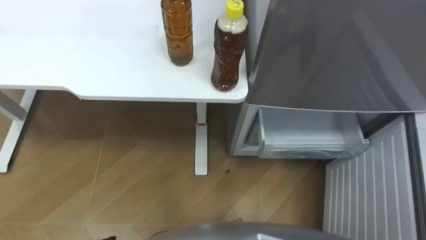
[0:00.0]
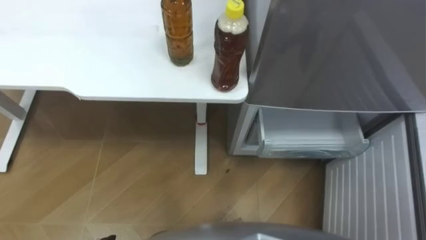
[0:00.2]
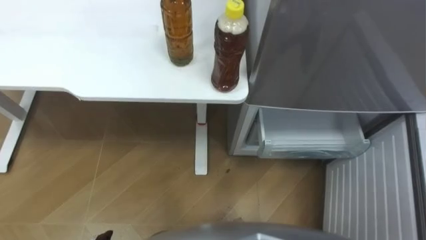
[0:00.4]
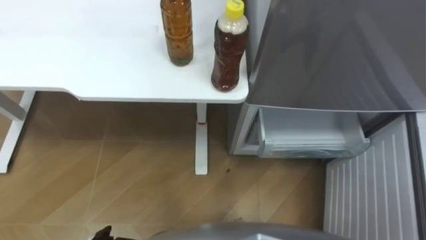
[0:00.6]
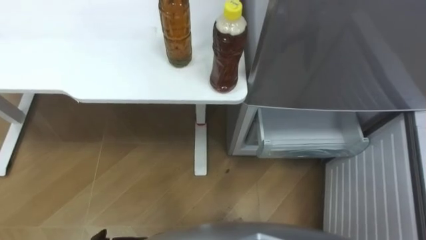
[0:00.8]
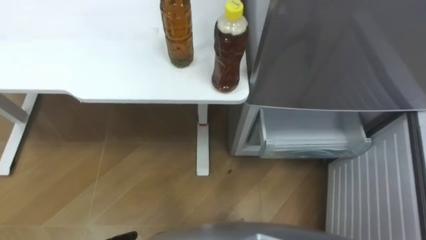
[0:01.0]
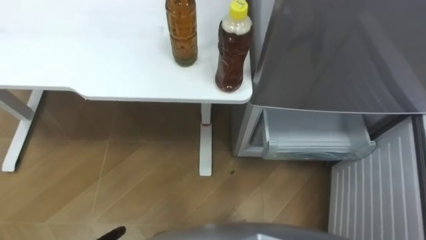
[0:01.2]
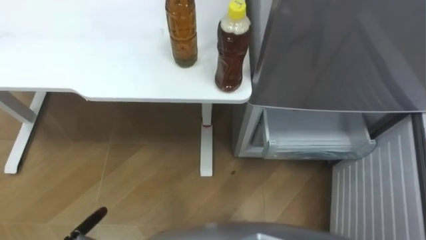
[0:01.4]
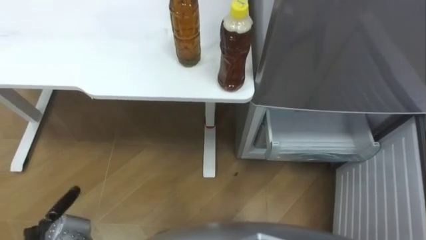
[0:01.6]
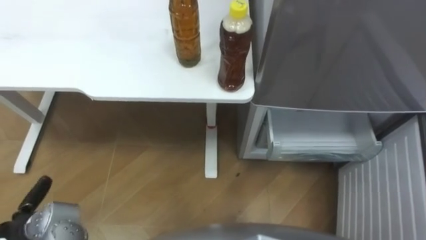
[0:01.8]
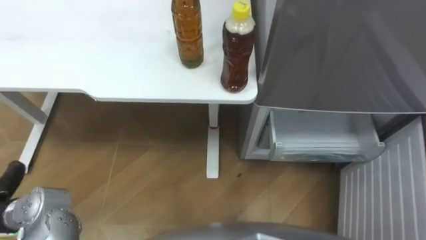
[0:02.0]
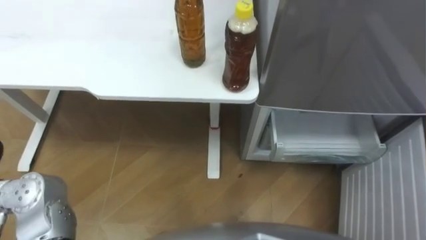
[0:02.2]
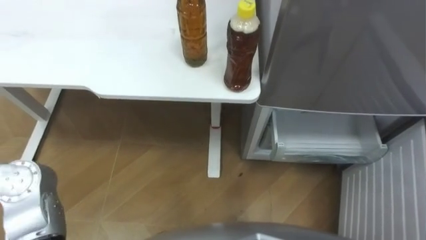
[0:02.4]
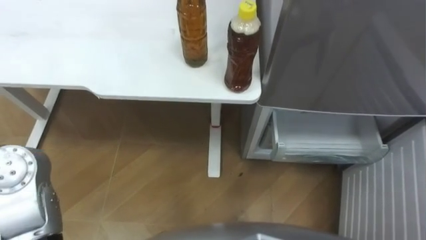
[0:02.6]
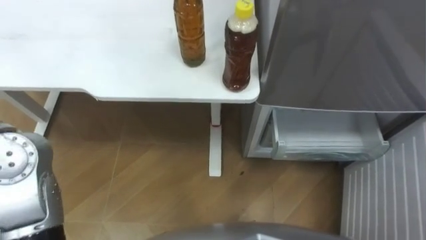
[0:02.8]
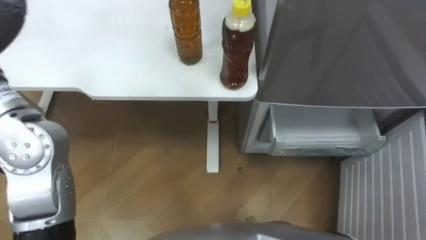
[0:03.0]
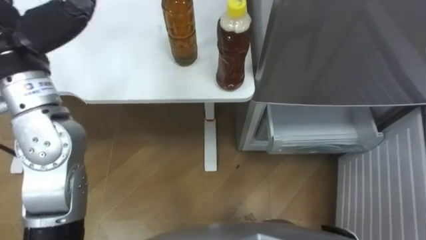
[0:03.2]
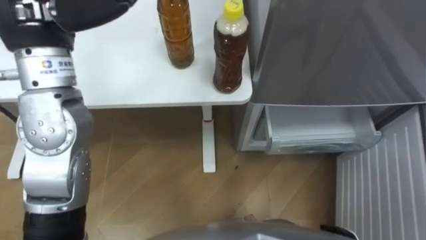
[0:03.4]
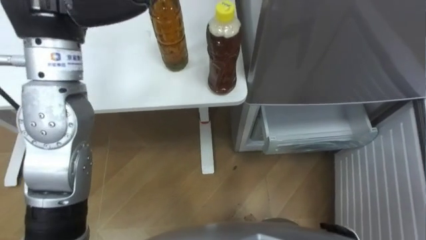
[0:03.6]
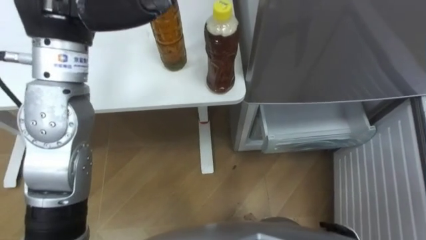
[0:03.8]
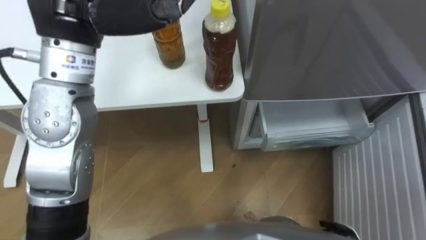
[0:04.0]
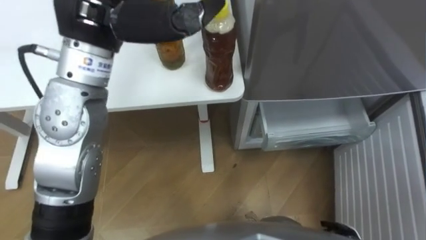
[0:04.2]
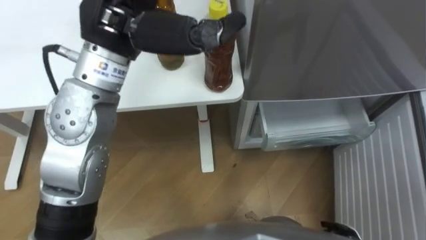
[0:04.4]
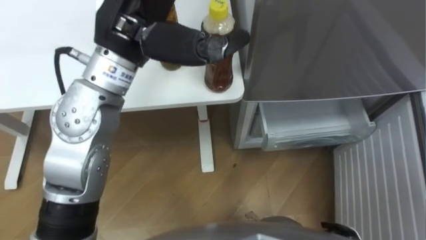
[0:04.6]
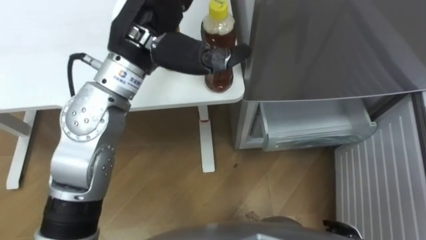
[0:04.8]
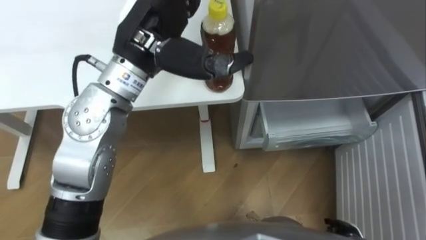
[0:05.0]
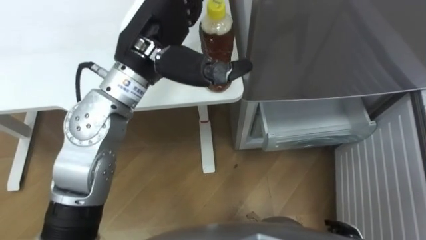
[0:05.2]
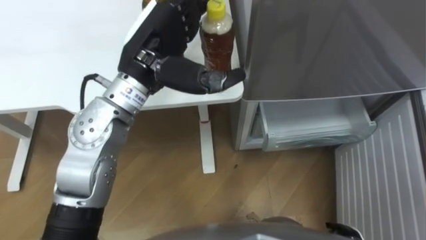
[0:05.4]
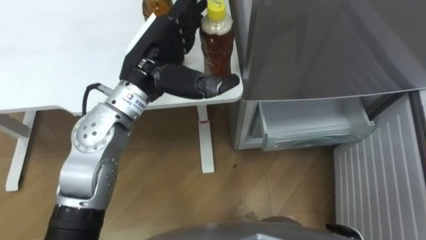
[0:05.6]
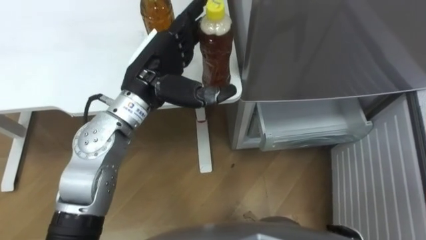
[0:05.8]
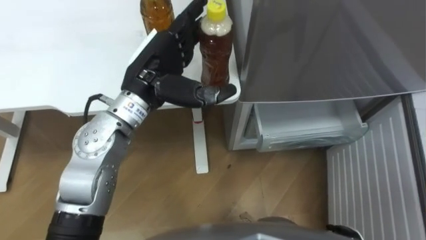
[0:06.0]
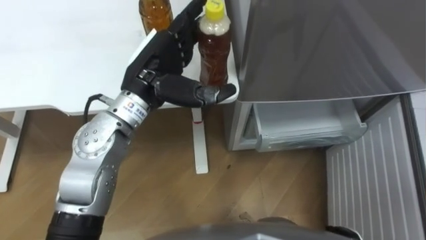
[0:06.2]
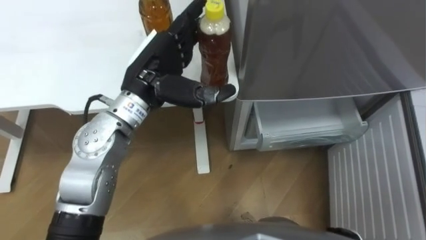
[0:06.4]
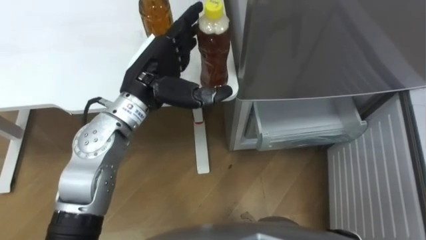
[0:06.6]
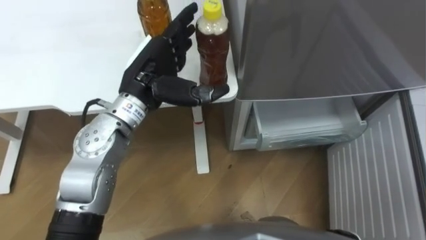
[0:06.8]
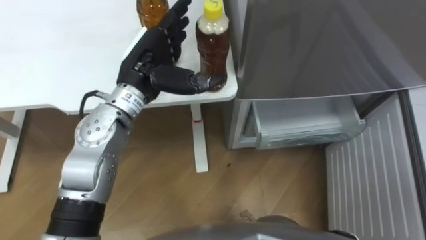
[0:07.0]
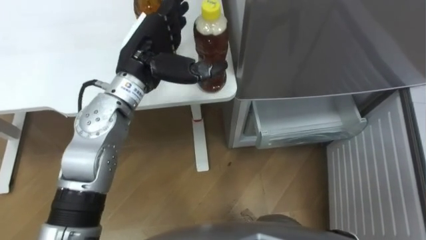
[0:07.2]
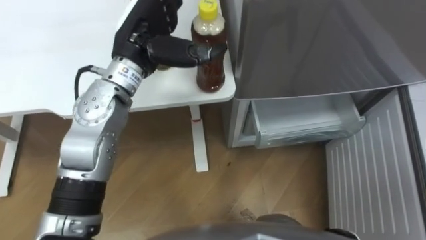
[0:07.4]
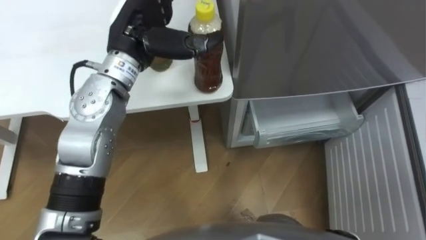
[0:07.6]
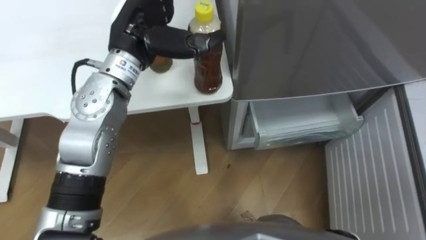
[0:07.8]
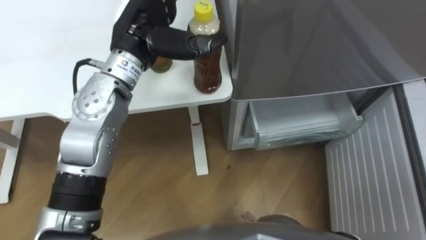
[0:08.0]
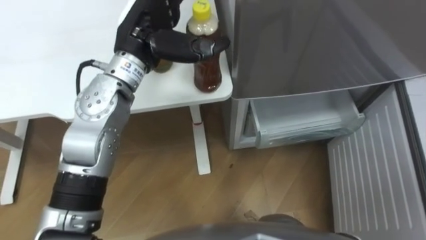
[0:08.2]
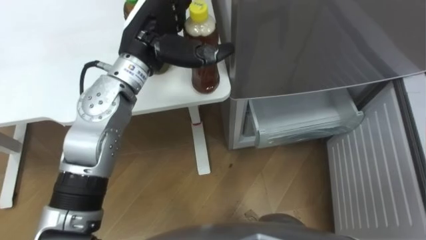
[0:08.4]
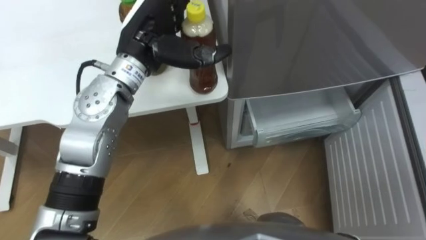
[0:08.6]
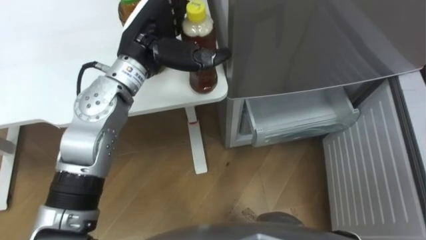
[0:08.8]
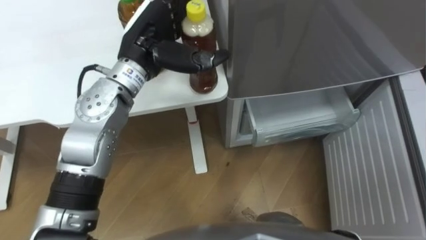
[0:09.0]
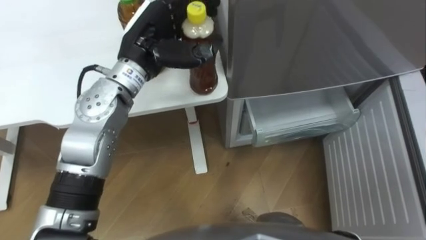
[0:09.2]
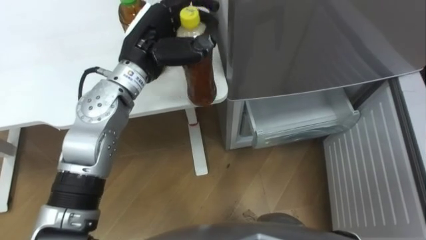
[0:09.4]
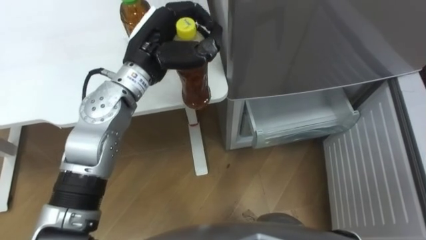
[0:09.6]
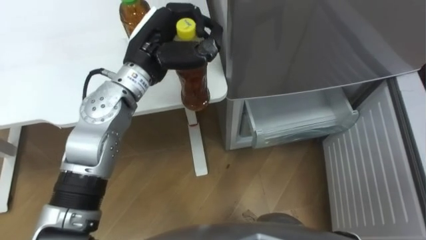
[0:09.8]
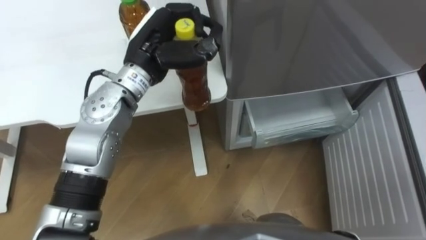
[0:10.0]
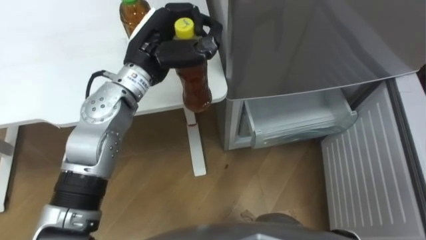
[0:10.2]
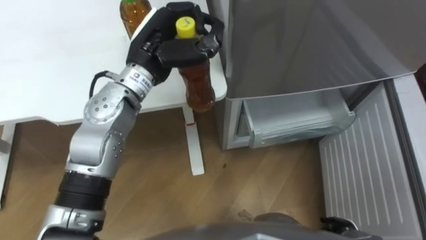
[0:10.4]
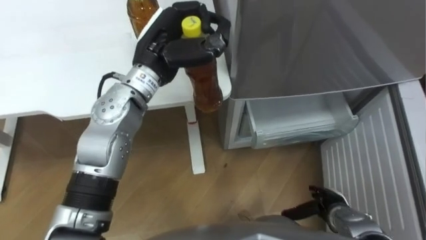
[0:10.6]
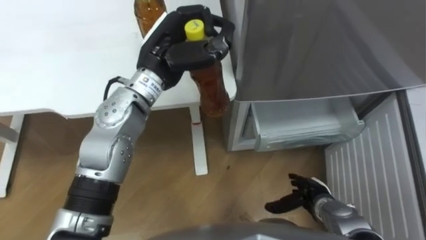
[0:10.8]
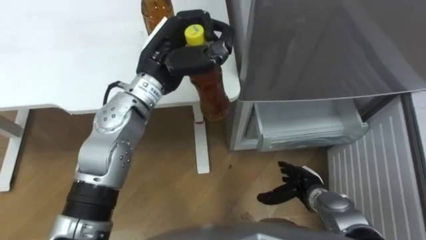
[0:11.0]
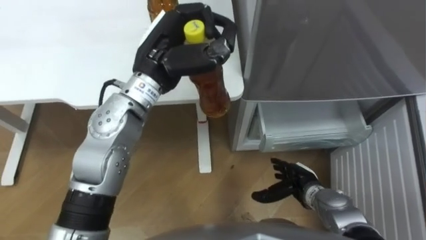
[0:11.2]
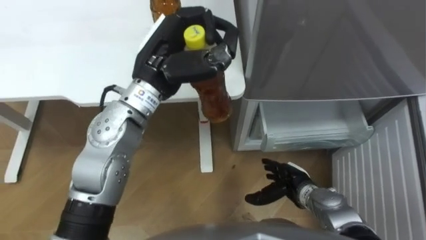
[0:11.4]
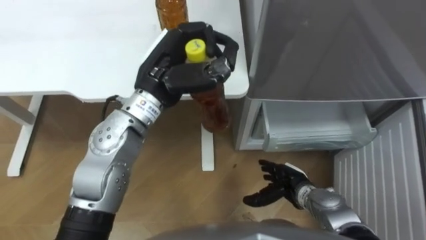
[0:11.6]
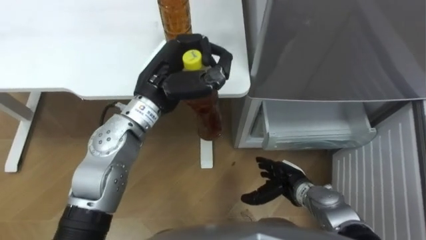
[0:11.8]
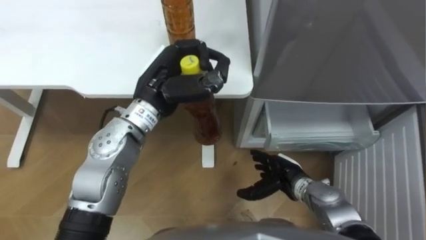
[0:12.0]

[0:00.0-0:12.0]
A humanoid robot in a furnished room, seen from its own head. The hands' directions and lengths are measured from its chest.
Task of the whole recording: Place the drink on the table on the bottom shelf of the refrigerator, then close the drawer and the refrigerator door.
0:04.4 to 0:06.0: The left hand heads downward, covering approximately 15 cm.
0:06.0 to 0:07.6: The left hand moves approximately 5 cm.
0:09.0 to 0:10.4: The left hand closes its fingers.
0:10.4 to 0:12.0: The left hand shifts by approximately 5 cm. The right hand travels forward, to the left and upward by approximately 20 cm.

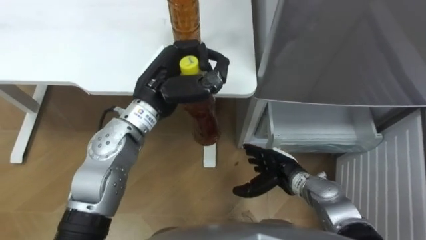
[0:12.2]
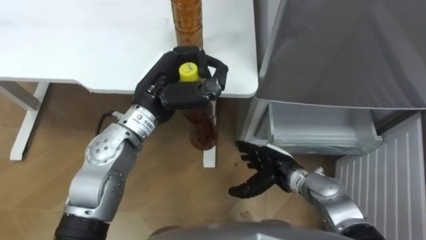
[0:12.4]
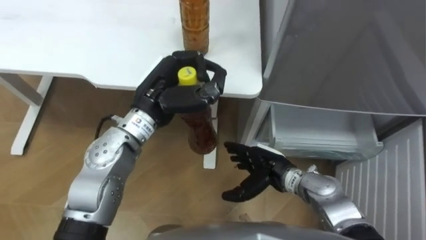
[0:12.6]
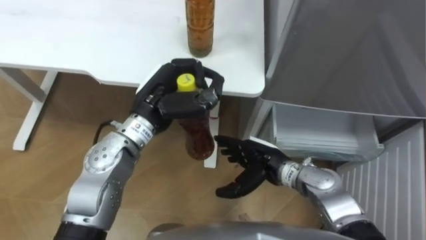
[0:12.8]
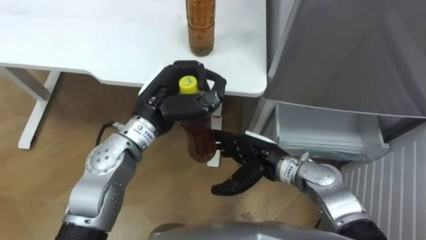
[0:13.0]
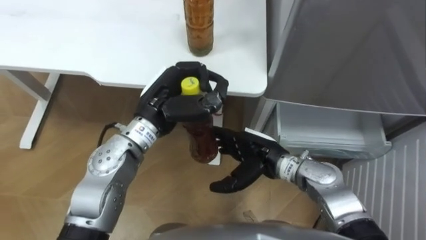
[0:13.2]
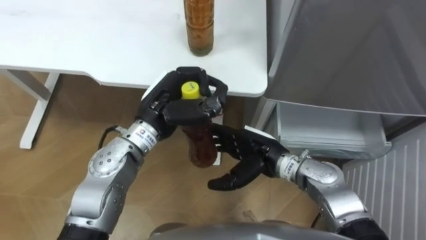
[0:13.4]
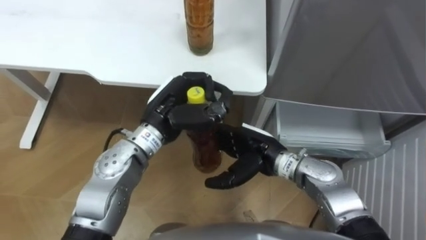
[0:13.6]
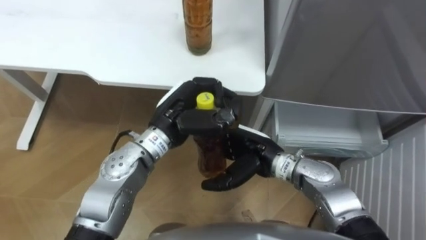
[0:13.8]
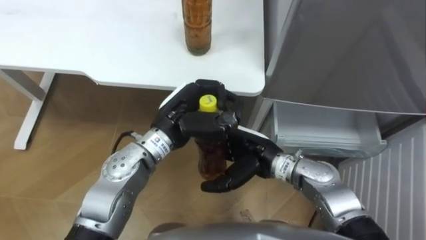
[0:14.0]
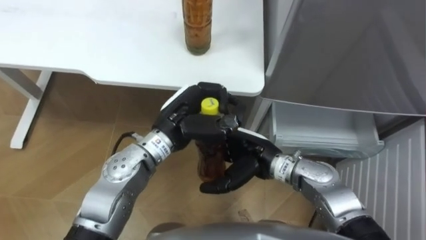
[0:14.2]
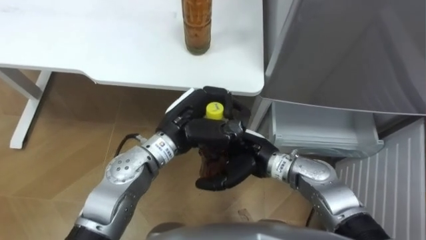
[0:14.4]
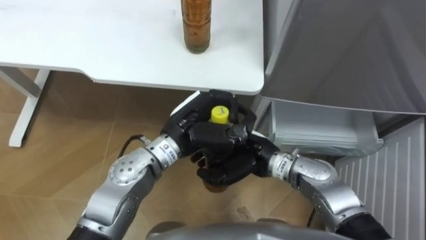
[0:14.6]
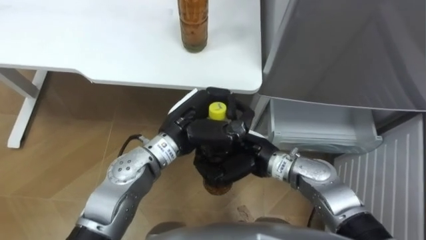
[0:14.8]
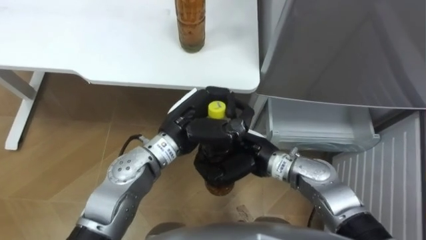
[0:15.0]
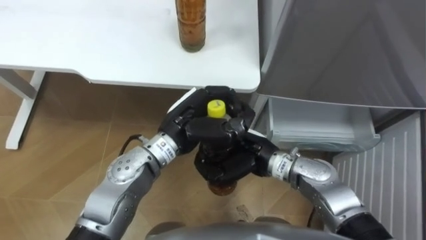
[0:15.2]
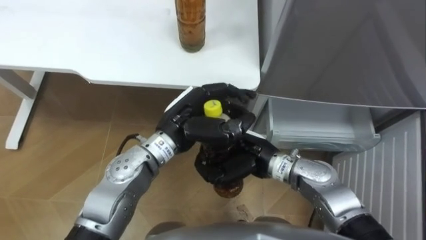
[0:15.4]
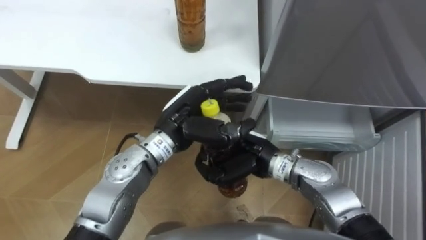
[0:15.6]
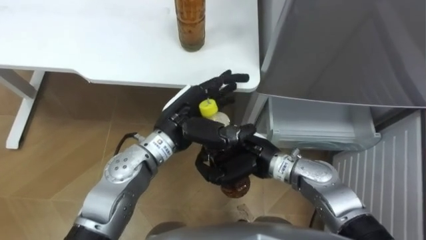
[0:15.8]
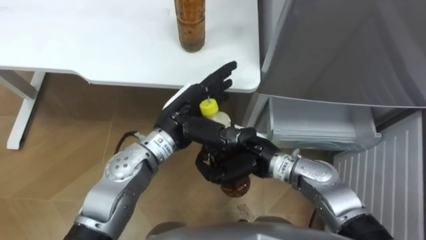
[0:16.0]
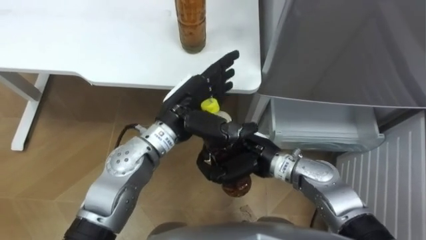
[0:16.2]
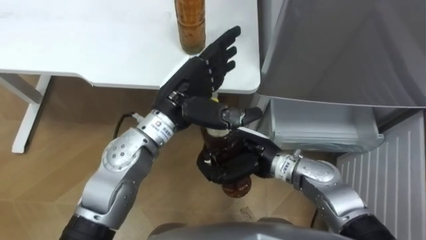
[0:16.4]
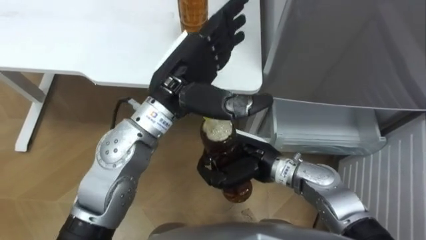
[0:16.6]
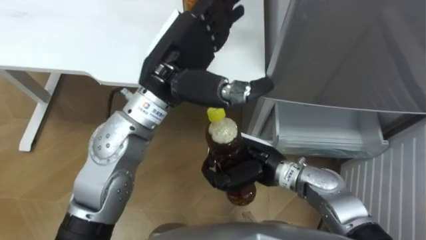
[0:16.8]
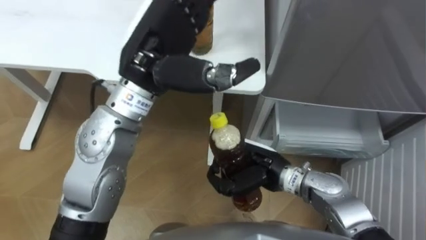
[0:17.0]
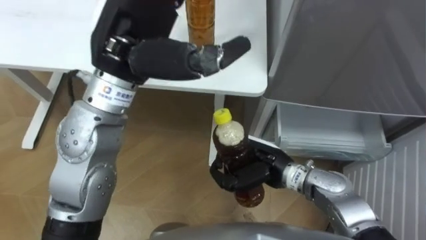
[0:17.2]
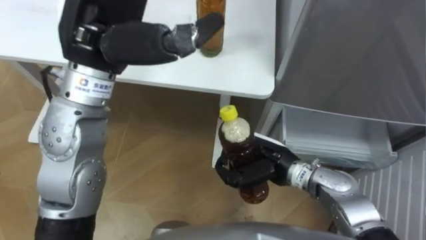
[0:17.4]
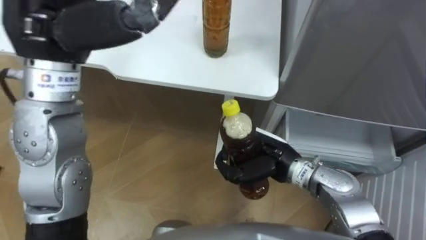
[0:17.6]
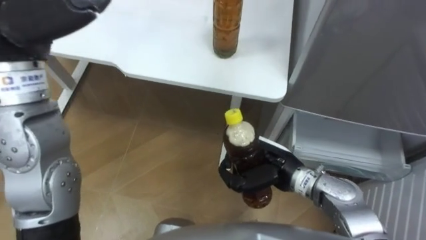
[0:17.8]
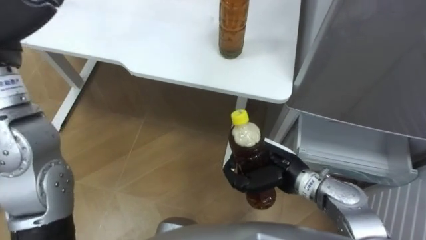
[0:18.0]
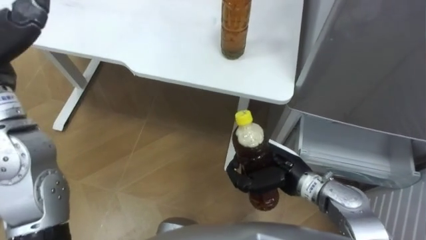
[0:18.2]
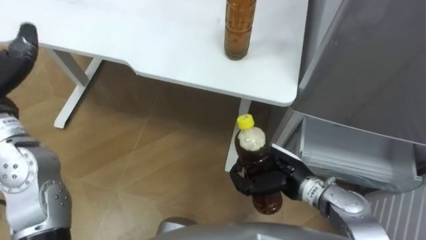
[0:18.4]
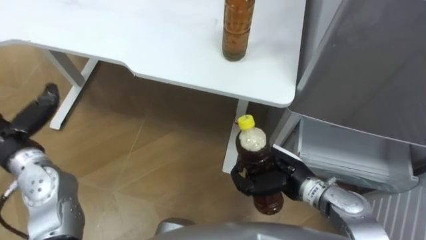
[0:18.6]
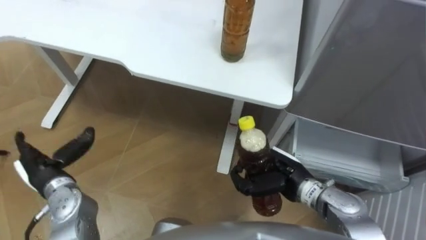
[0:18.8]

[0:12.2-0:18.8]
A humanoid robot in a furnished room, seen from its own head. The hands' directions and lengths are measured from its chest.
Task of the whole recording: Place the drink on the table on the bottom shelf of the refrigerator, then close the drawer and the refrigerator door.
0:12.2 to 0:13.8: The right hand shifts approximately 10 cm upward and to the left. Meanwhile the left hand moves roughly 5 cm.
0:13.8 to 0:15.4: The right hand closes.
0:15.4 to 0:17.2: The left hand shifts about 20 cm upward, and opens up.
0:17.2 to 0:18.8: The right hand shifts by some 5 cm.
